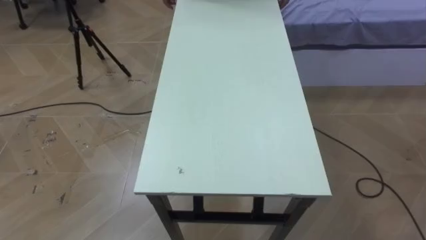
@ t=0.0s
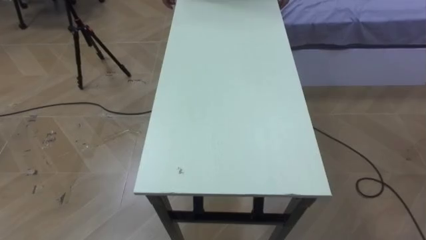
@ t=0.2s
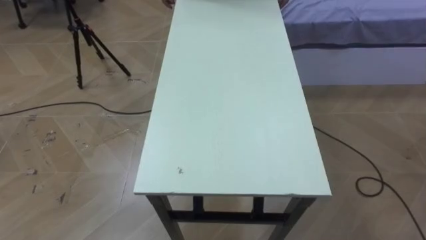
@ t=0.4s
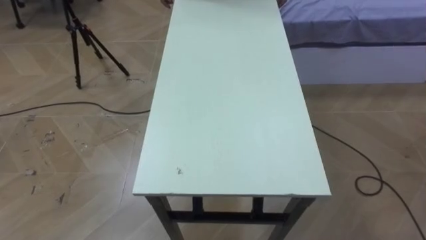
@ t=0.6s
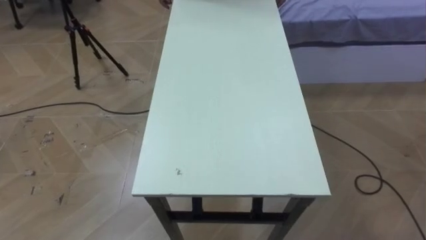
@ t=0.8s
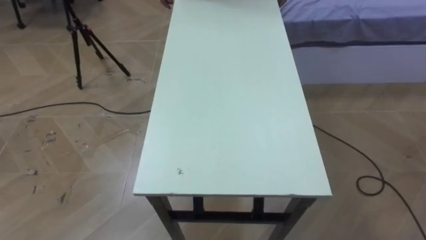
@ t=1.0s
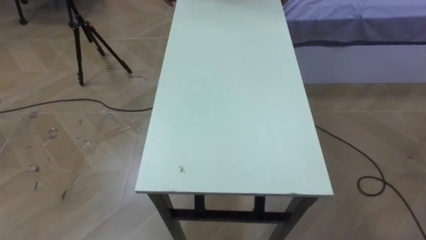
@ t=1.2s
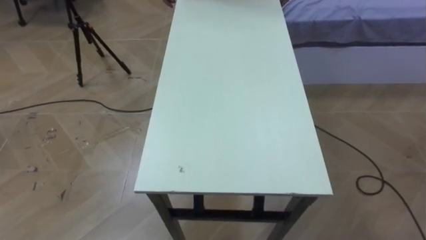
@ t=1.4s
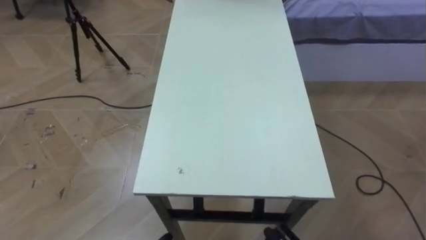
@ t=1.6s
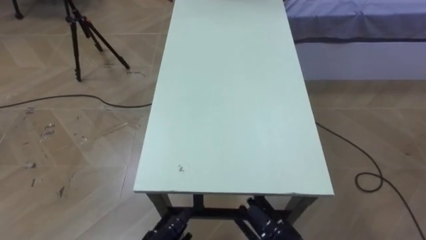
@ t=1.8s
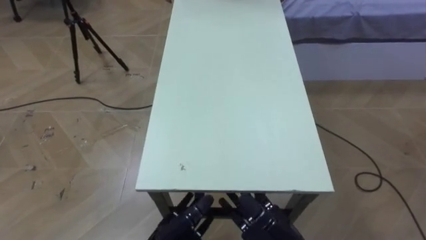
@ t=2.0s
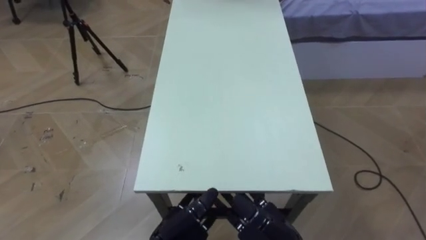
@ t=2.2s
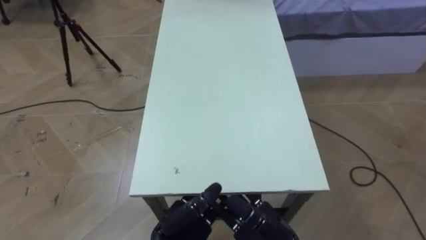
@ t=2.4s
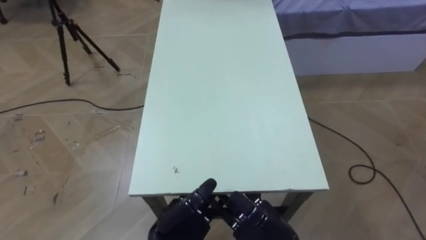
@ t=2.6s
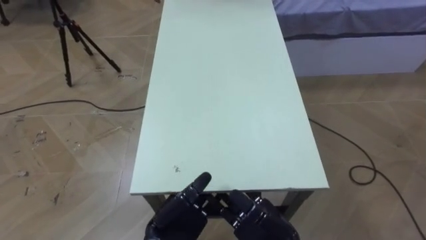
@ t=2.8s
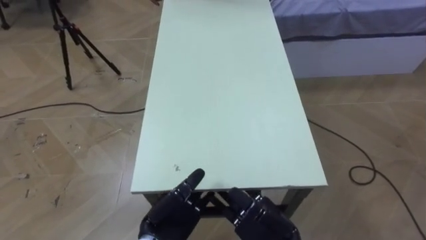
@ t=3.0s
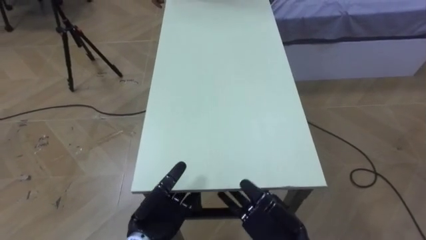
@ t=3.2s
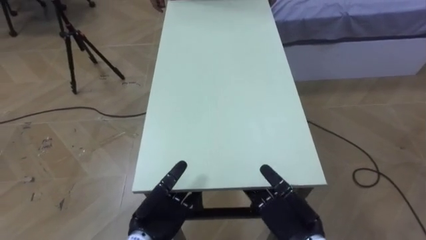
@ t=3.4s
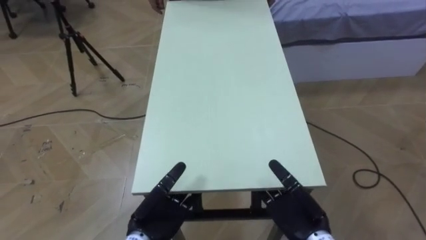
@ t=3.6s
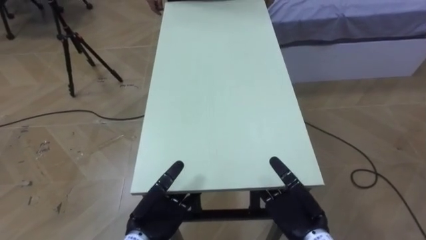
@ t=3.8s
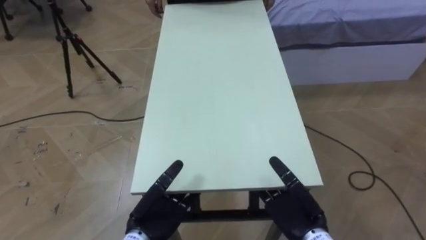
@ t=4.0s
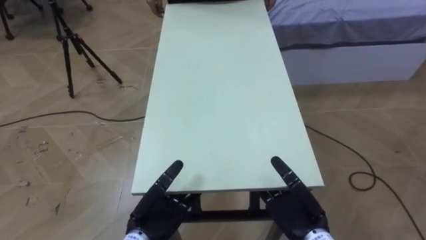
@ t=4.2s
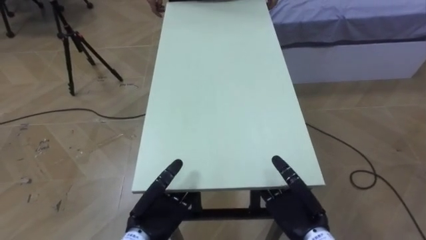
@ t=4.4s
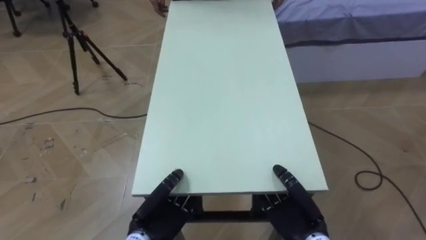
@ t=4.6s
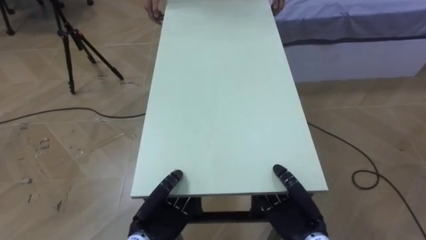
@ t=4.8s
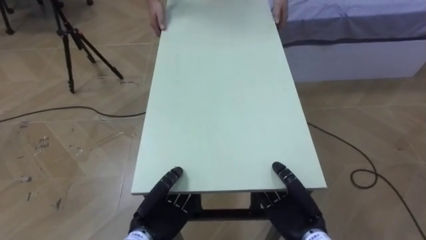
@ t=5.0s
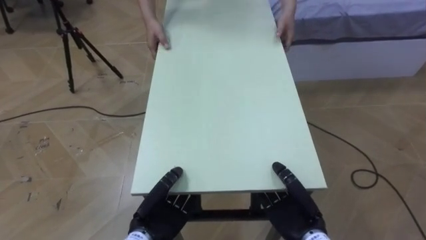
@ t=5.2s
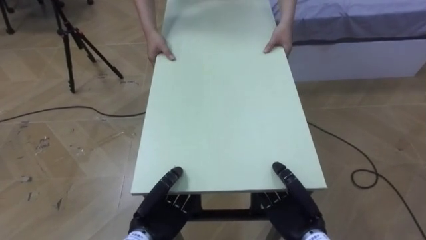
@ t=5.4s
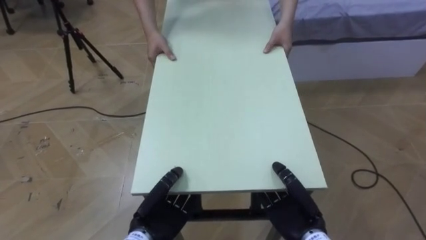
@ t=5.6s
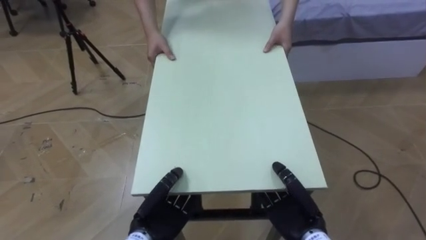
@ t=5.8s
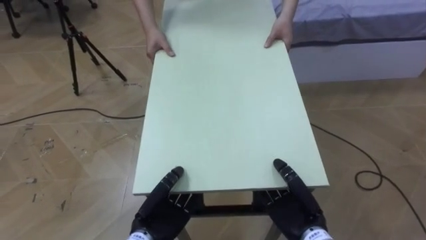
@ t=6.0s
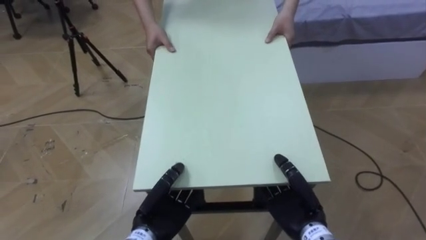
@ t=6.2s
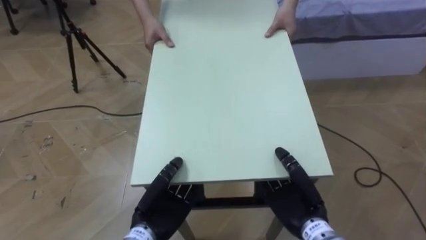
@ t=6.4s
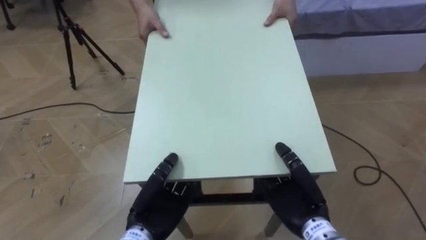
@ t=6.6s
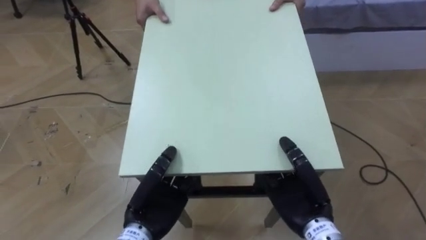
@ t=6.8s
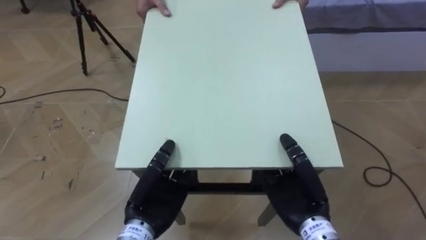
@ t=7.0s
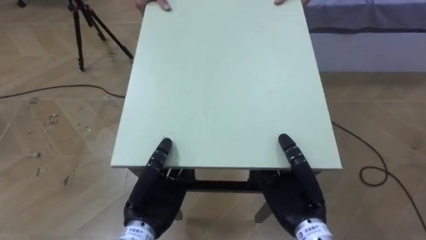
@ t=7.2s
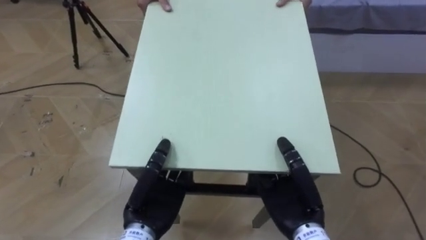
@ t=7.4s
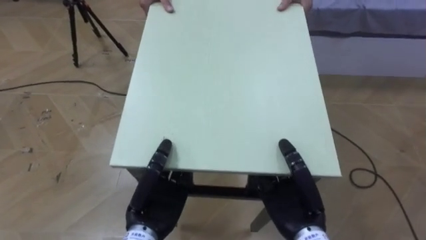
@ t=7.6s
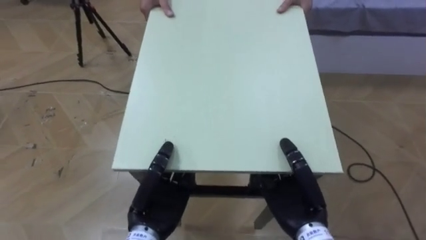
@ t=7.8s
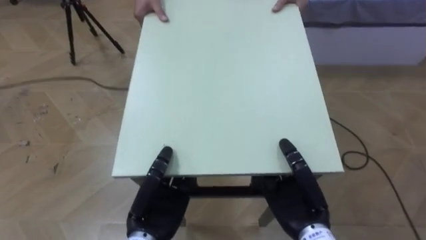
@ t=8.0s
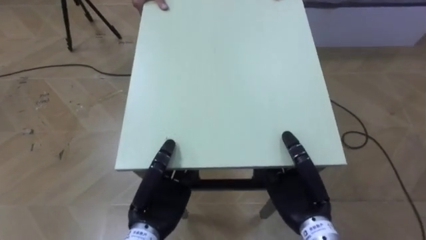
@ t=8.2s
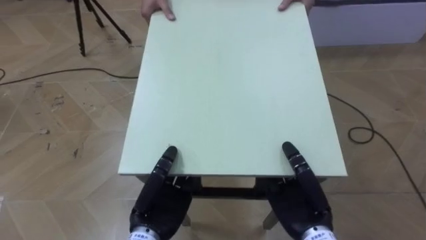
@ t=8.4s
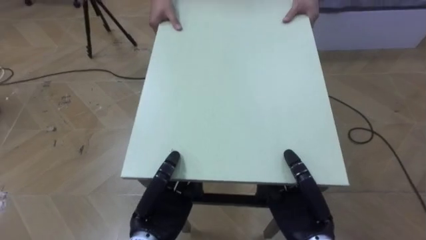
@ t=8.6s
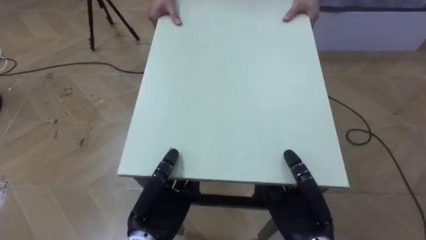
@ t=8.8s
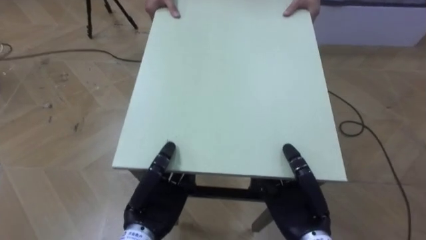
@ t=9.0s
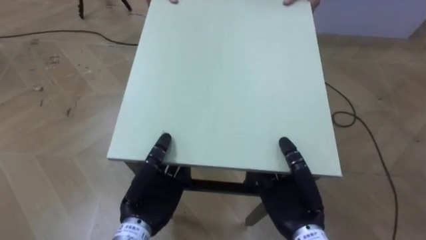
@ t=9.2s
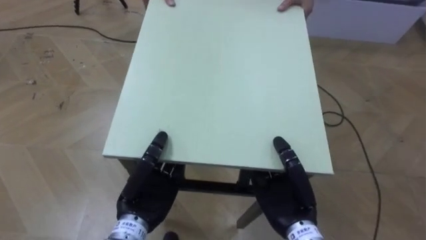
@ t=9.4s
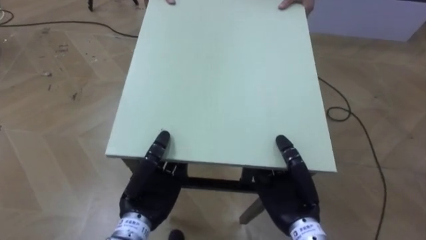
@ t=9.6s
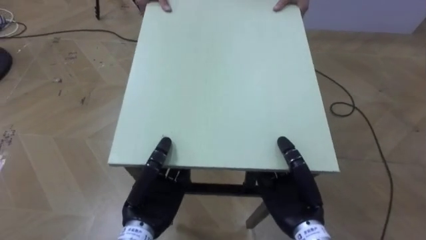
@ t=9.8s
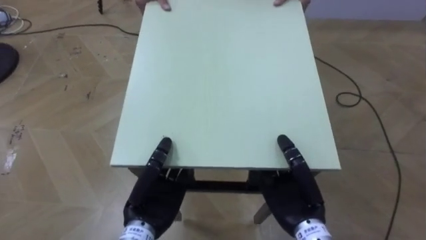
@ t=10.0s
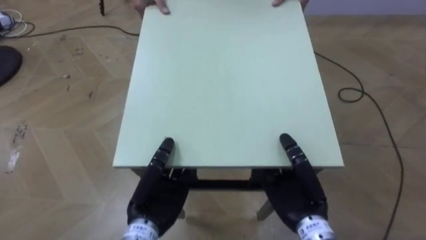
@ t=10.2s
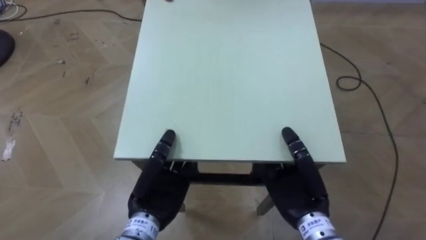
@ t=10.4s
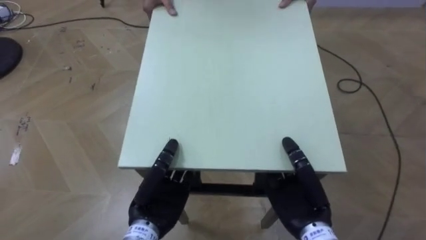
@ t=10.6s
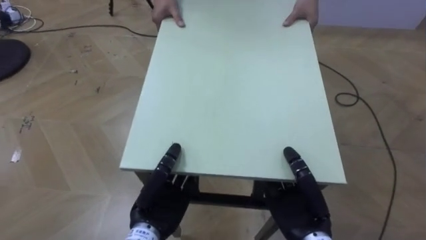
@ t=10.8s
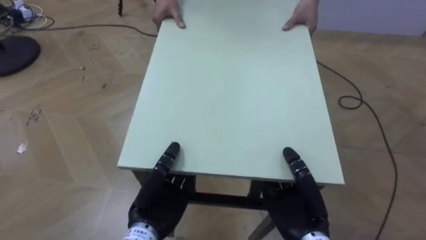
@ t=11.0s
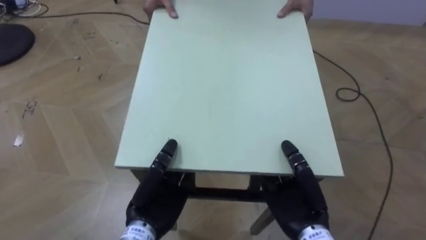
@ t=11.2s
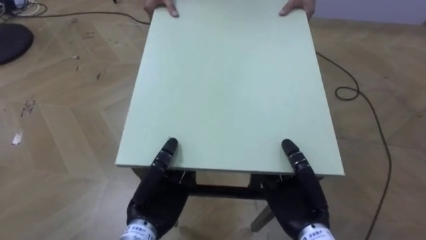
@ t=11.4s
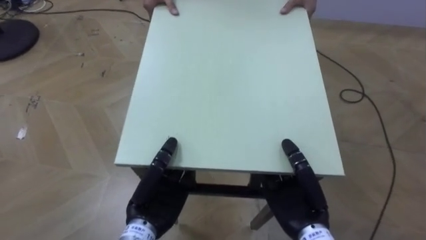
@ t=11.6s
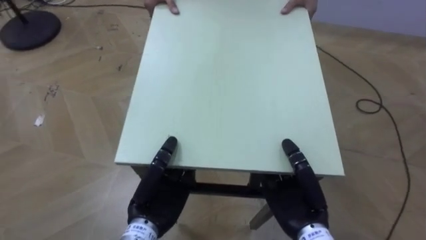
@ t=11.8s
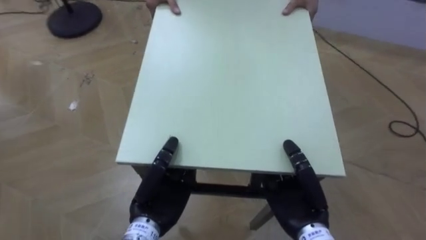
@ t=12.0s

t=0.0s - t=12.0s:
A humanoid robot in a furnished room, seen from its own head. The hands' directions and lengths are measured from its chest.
Task of the whole recording: Move the table to the back left with someone.
t=3.0s - t=4.4s: The right hand shifts roughly 5 cm to the right.
t=4.4s - t=6.0s: The left hand closes up.
t=6.0s - t=7.6s: Both hands travel together upward, roughly 5 cm.
t=10.4s - t=12.0s: The robot faces roughly 20 degrees further to its left.

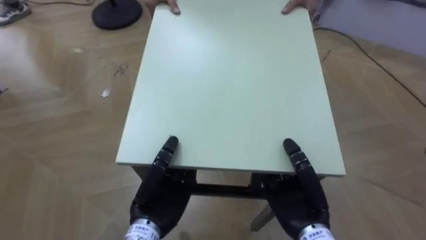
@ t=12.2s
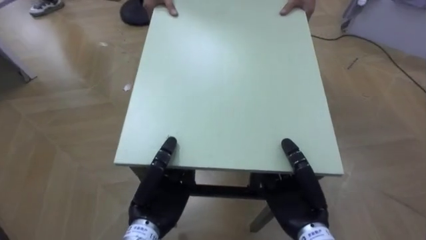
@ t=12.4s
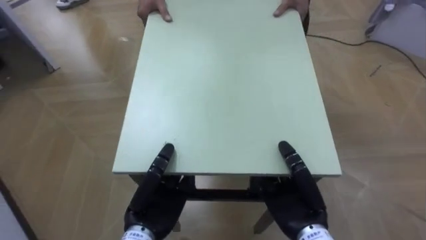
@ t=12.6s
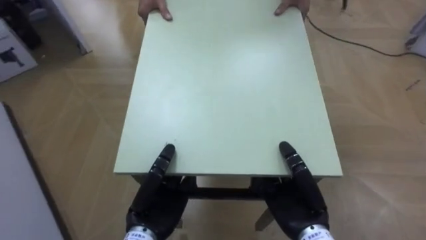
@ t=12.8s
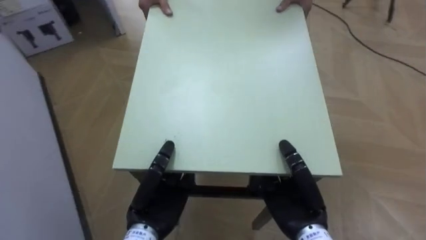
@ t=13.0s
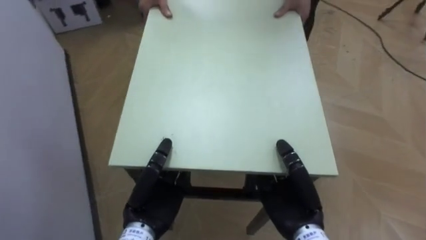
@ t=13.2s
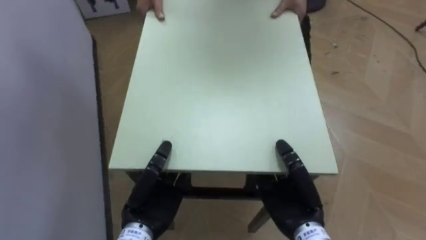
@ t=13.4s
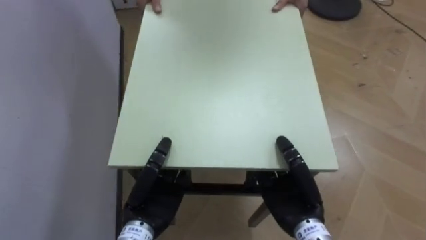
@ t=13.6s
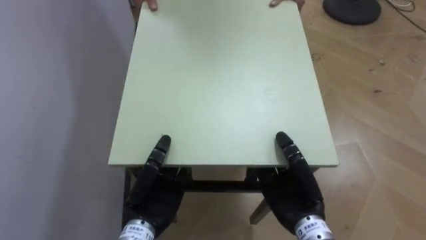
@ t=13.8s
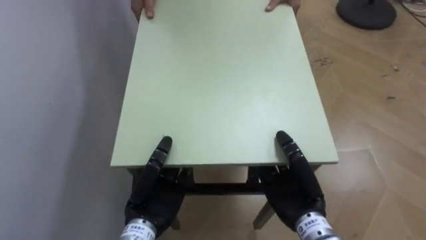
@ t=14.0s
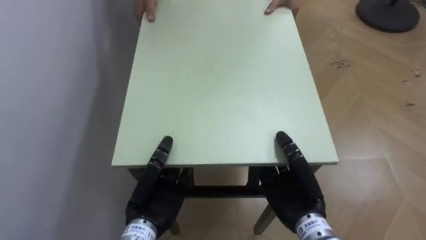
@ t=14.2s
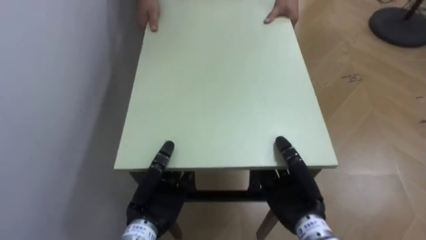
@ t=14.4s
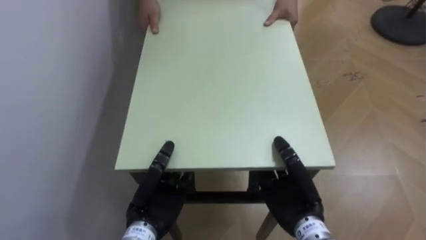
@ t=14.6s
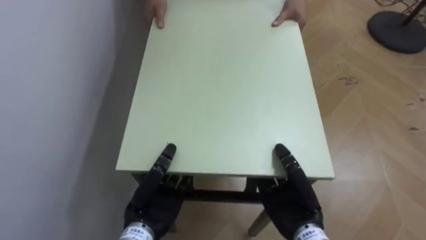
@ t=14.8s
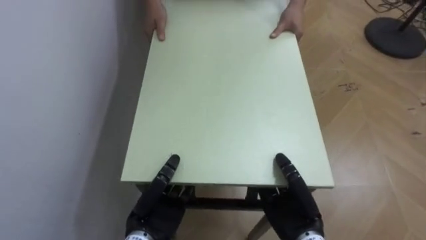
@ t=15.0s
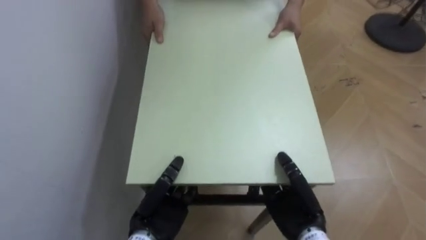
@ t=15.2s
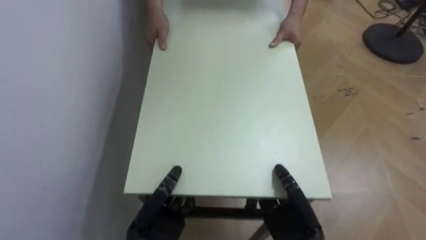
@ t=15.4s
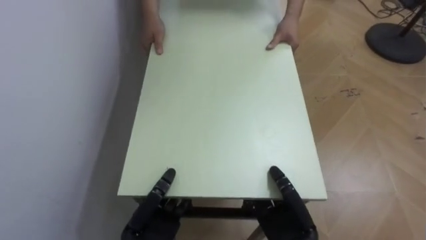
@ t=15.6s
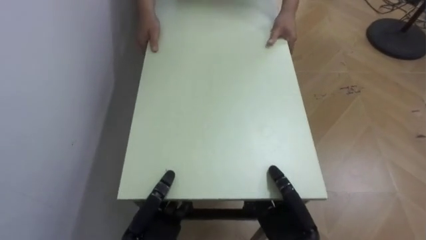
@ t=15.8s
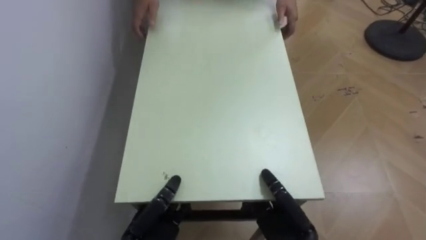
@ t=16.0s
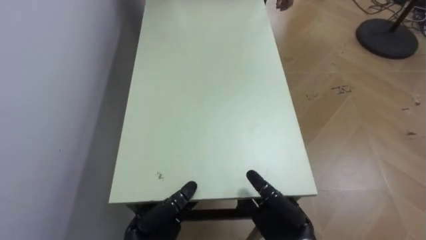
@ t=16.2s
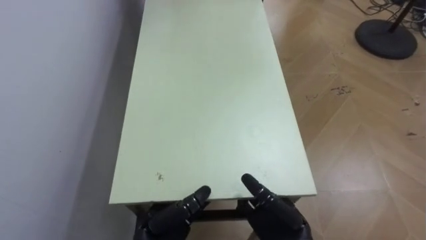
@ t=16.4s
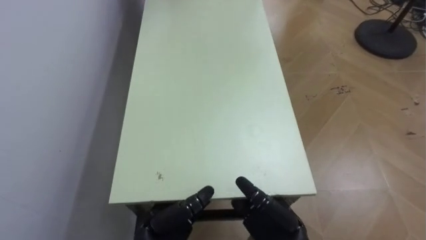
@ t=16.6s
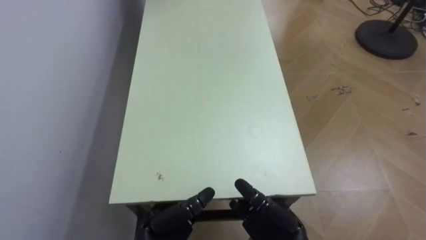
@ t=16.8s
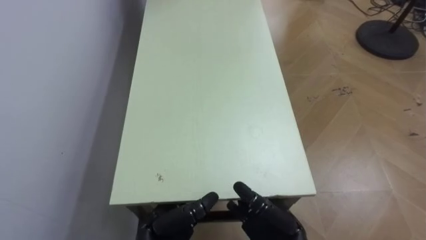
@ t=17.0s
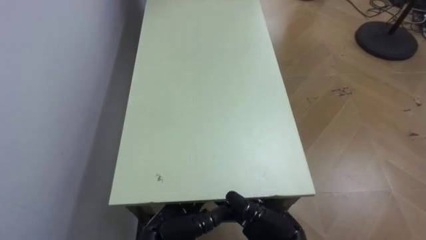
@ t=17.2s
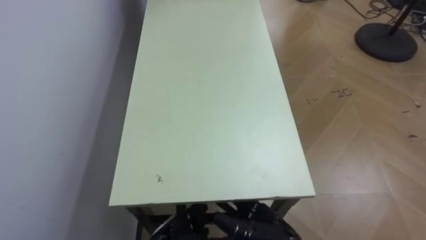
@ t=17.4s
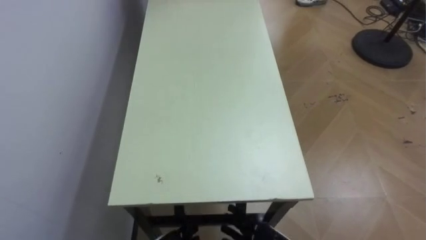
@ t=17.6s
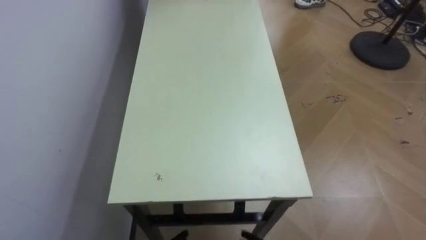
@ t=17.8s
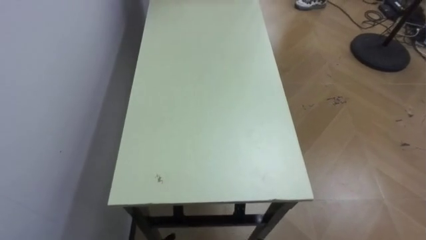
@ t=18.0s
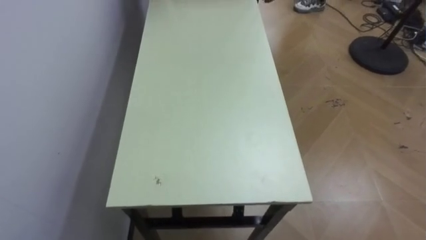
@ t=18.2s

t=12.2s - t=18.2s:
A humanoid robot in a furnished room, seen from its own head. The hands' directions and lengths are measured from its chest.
Task of the whole recording: Move the table to the back left with someone.
t=12.2s - t=13.8s: The robot's body swings roughly 45 degrees to its left.
t=13.8s - t=15.2s: The right hand goes some 5 cm downward.
t=15.2s - t=16.6s: The right hand opens its fingers. The left hand opens its fingers.
